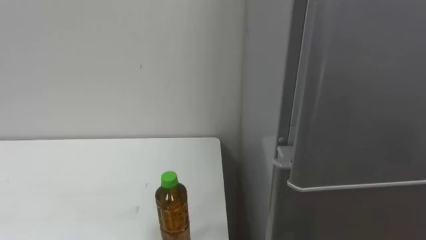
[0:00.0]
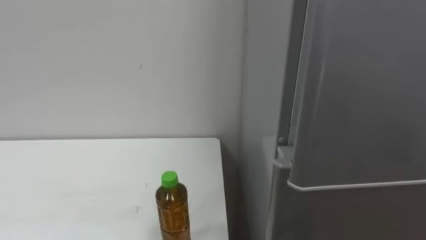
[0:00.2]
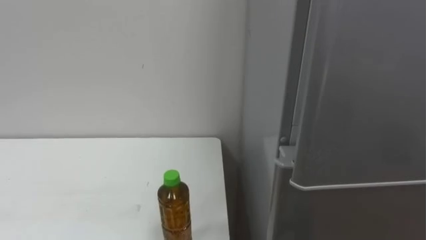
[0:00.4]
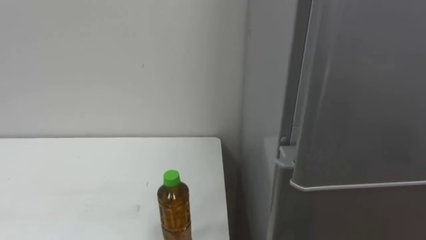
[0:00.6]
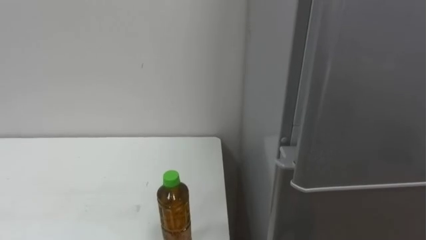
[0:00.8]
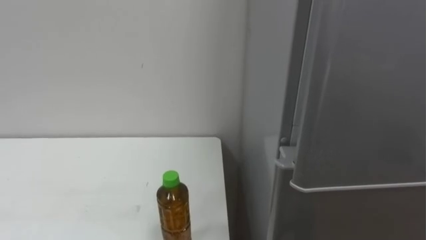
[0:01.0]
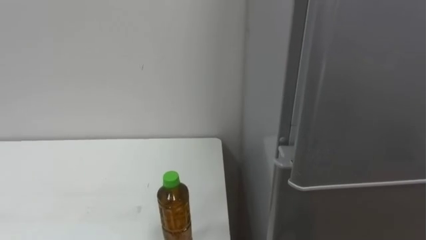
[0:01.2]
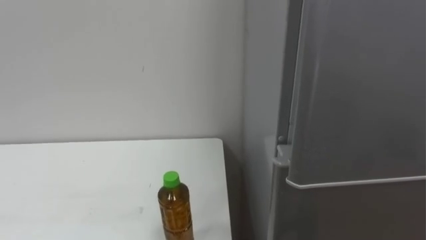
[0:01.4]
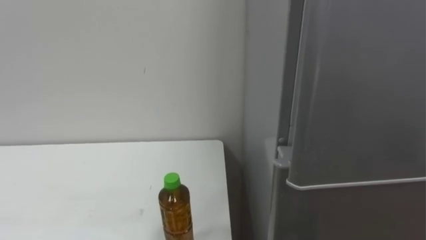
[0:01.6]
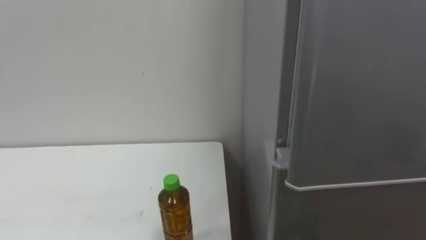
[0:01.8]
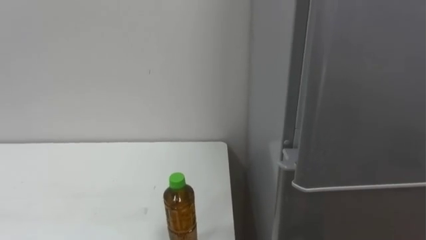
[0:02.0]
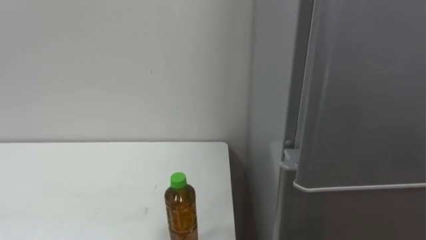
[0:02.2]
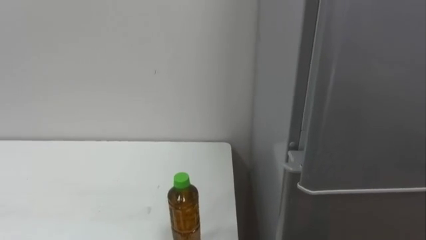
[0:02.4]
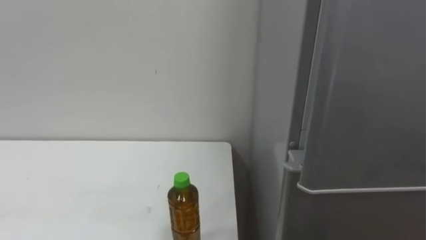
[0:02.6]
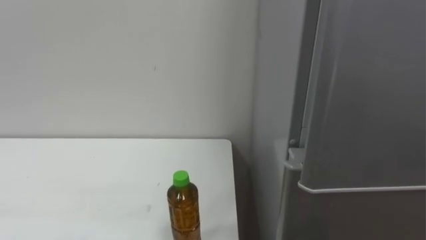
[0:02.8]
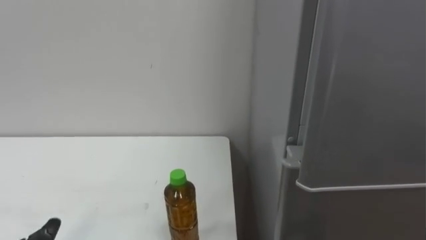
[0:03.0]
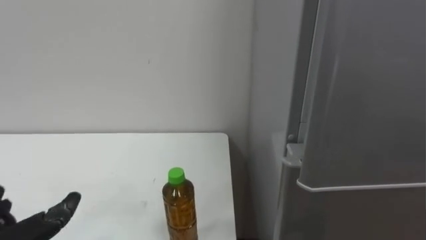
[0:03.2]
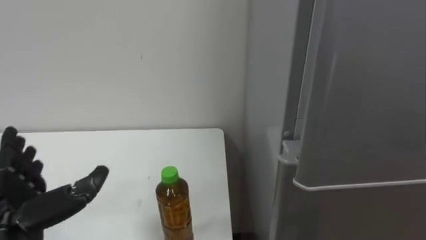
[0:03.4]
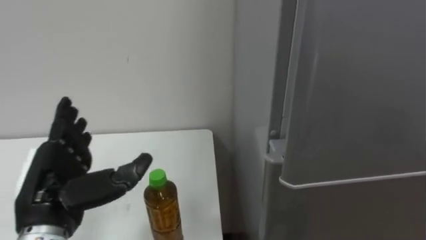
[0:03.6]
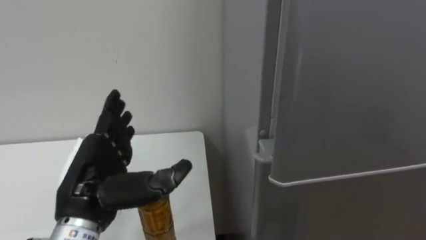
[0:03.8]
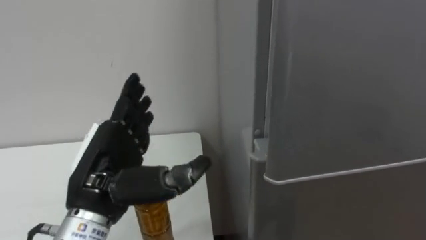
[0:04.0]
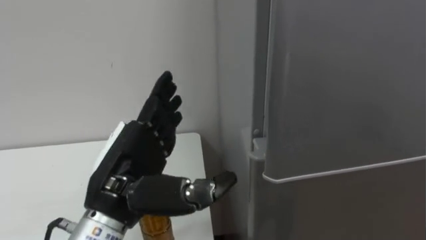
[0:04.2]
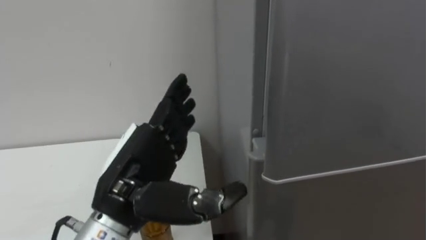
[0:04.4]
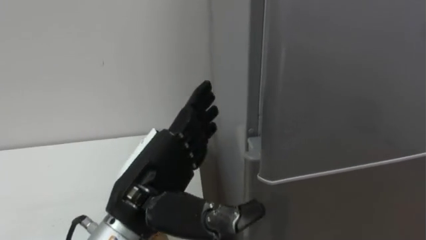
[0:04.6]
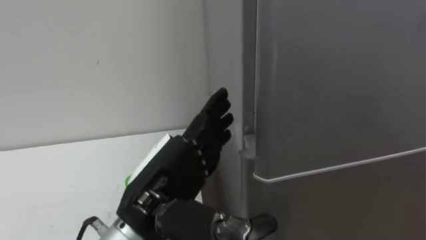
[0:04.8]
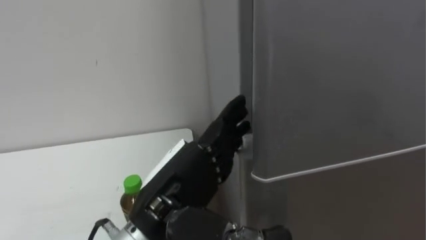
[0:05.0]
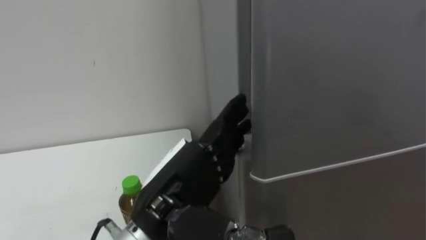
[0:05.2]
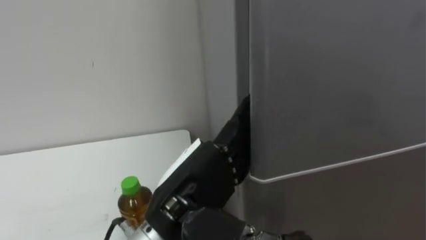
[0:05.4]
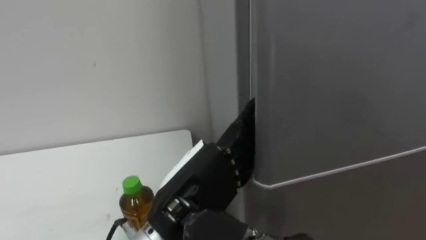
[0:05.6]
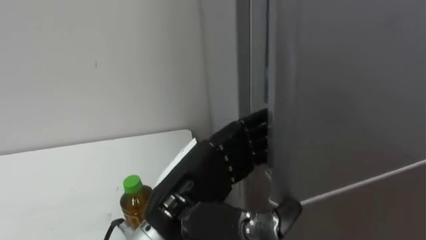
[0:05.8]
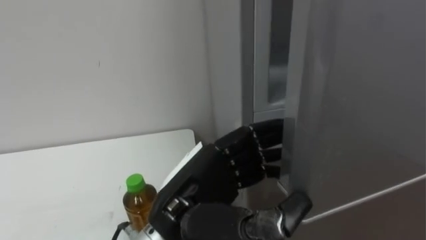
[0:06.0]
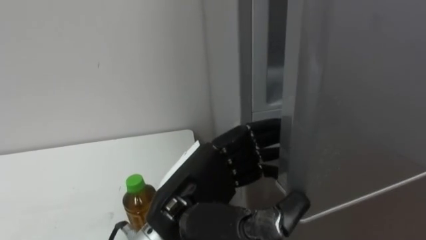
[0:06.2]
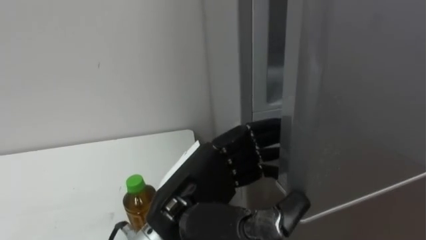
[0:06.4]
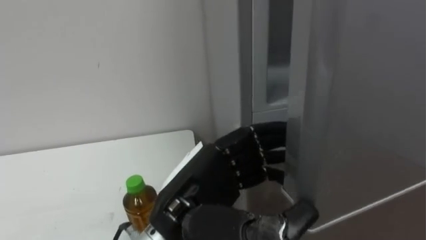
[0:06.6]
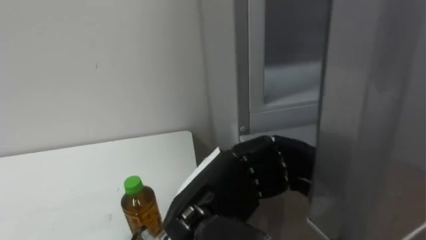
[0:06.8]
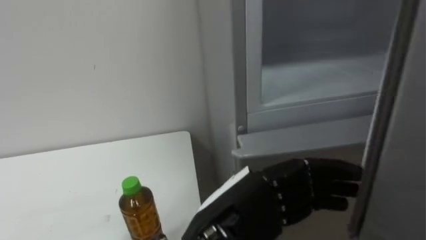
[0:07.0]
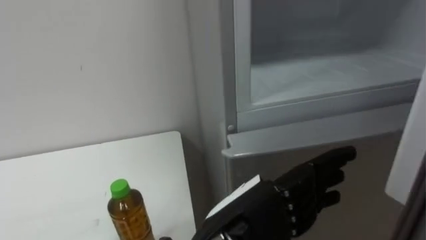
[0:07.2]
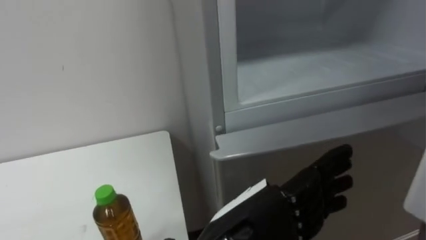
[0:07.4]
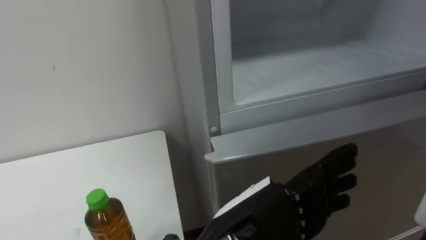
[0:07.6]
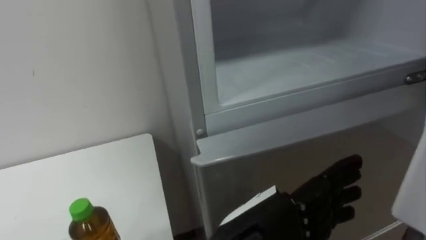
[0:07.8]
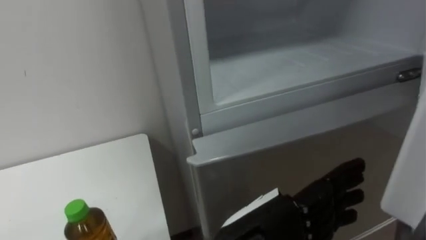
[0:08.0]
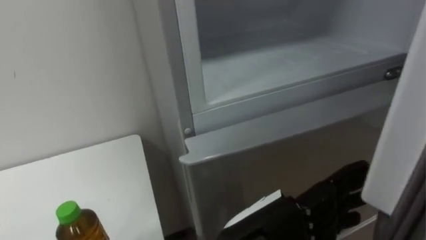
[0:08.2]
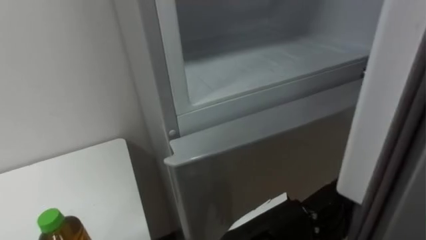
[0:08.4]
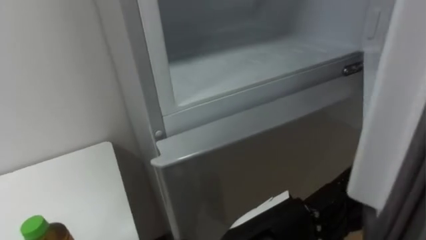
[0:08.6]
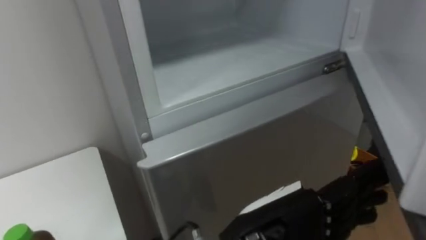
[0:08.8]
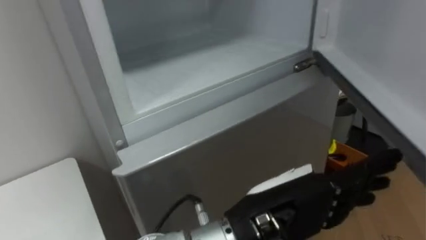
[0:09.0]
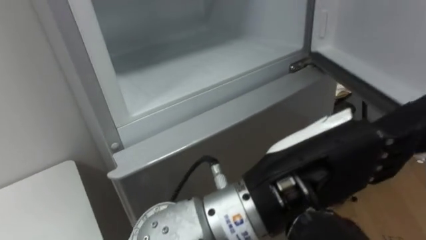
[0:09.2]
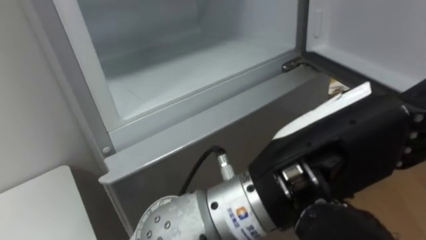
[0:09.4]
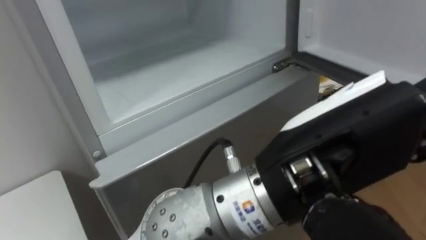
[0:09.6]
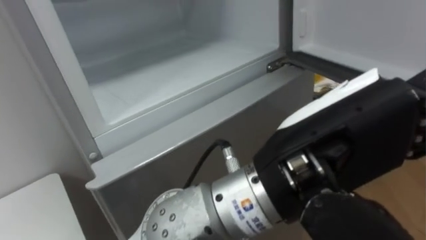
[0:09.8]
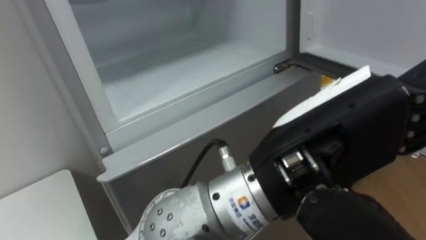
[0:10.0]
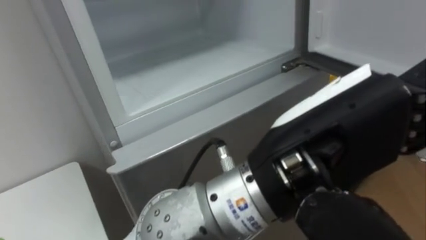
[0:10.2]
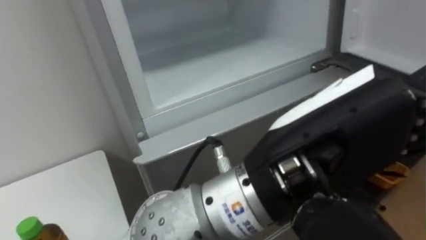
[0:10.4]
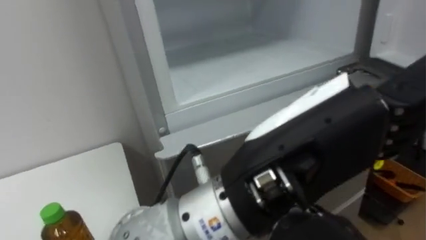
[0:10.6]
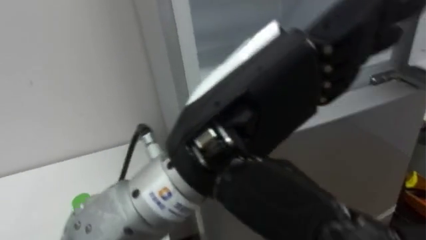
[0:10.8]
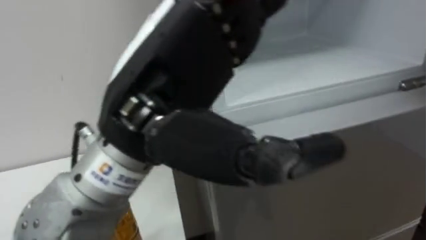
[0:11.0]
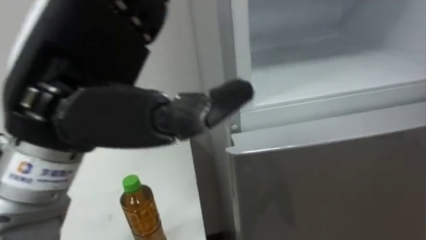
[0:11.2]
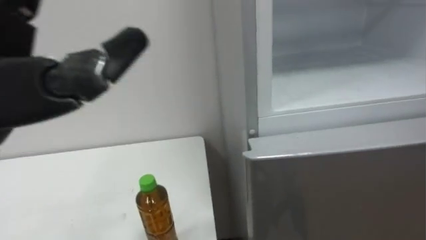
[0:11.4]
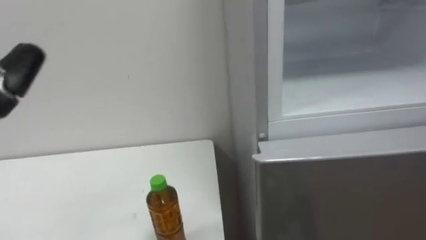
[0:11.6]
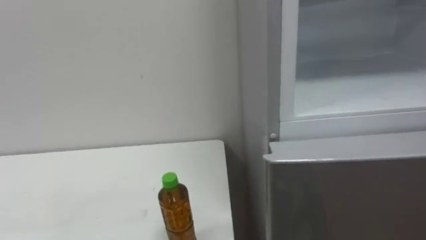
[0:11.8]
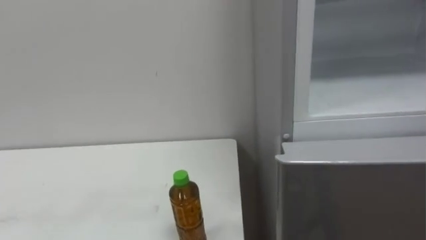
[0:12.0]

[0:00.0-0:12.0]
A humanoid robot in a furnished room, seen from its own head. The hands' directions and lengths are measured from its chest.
Task of the whole recording: Open the upper refrigerator door, put the drink from the table into the refrigerator, and then close the refrigerator door.
0:04.4 to 0:06.0: The left hand moves to the right, about 10 cm, and closes its fingers.
0:06.0 to 0:07.6: The left hand travels to the right by roughly 5 cm, and opens.
0:09.0 to 0:10.4: The left hand goes about 10 cm upward.

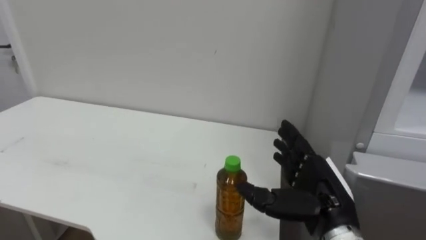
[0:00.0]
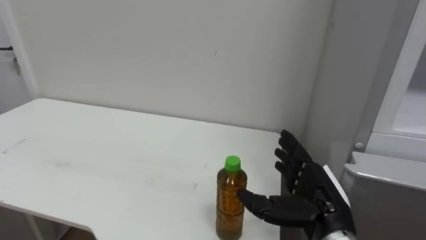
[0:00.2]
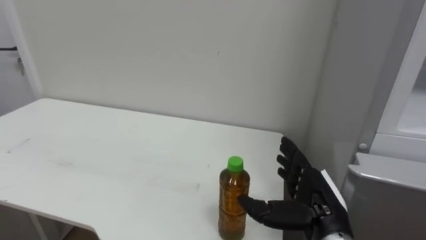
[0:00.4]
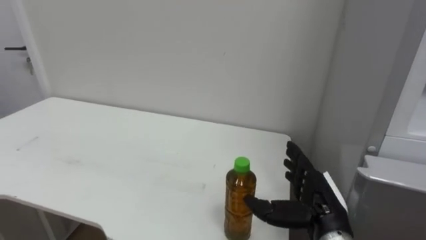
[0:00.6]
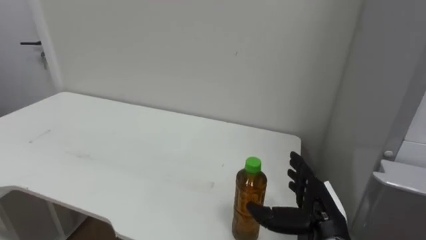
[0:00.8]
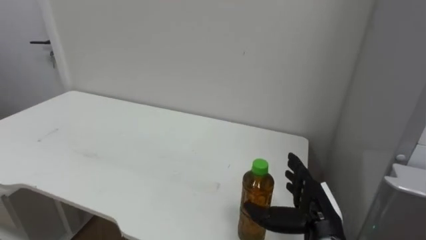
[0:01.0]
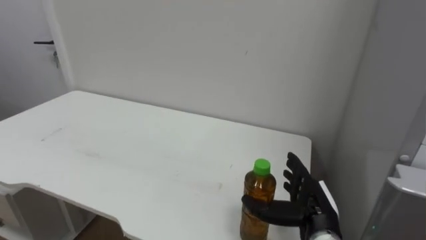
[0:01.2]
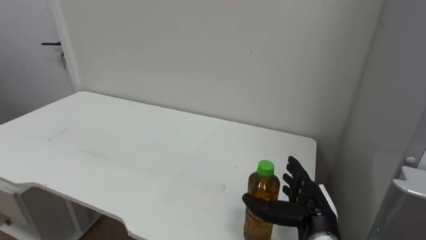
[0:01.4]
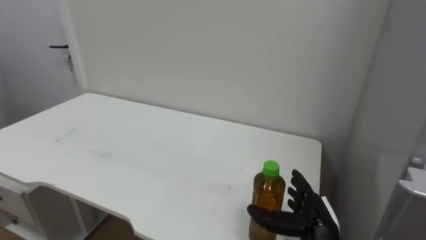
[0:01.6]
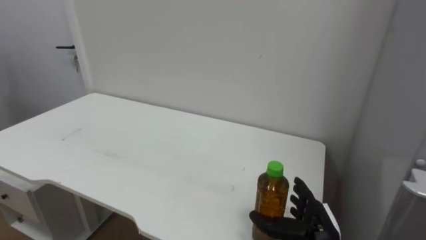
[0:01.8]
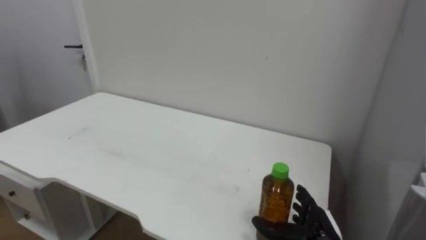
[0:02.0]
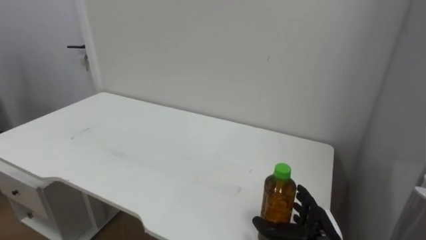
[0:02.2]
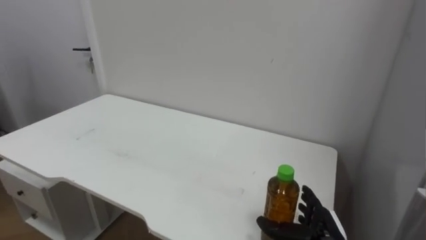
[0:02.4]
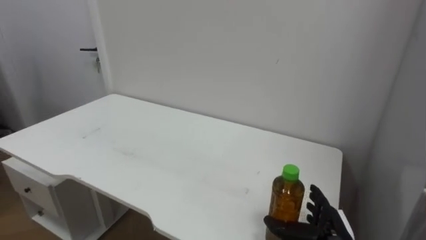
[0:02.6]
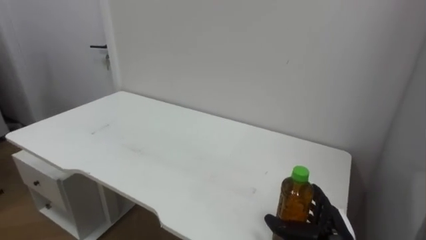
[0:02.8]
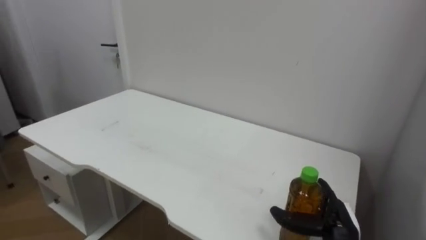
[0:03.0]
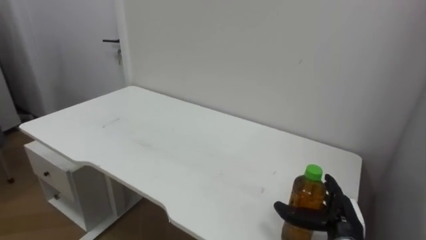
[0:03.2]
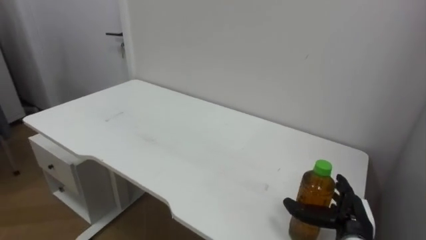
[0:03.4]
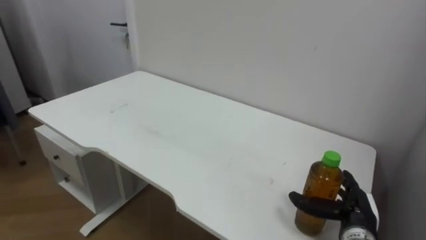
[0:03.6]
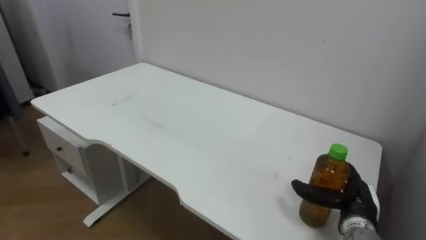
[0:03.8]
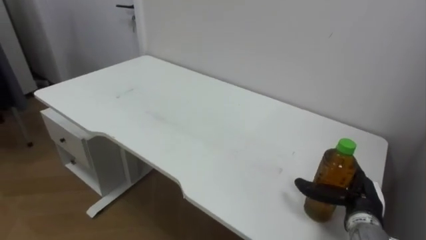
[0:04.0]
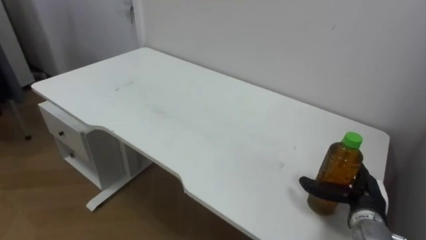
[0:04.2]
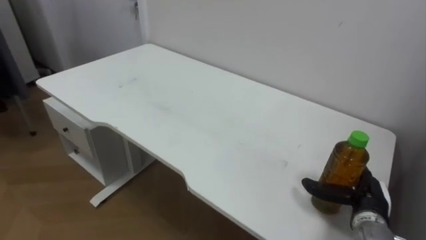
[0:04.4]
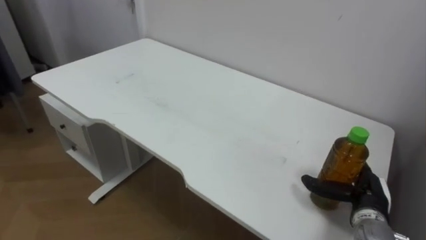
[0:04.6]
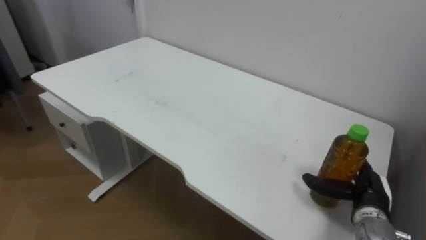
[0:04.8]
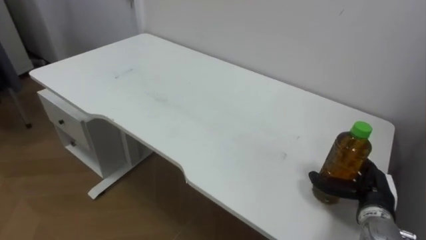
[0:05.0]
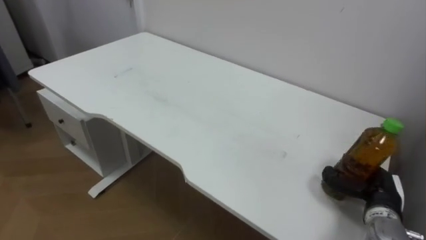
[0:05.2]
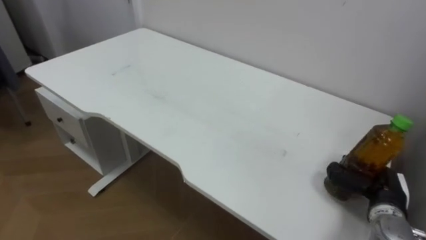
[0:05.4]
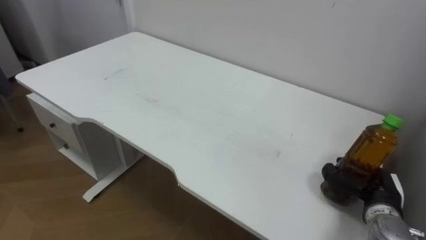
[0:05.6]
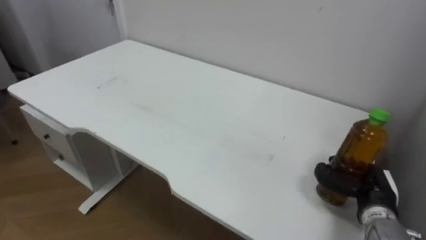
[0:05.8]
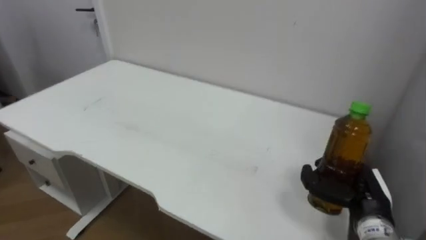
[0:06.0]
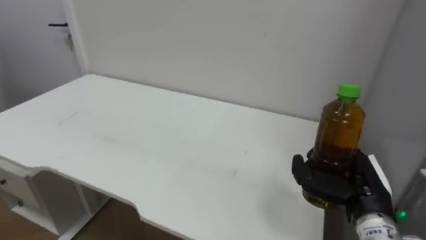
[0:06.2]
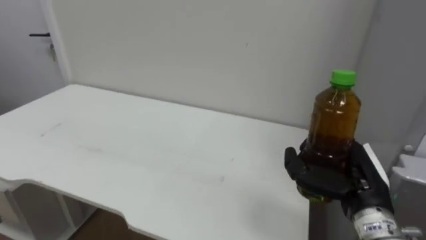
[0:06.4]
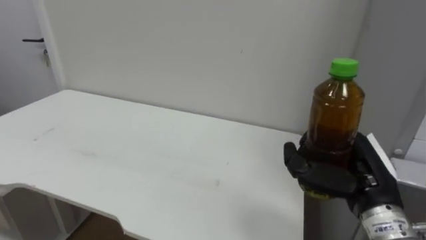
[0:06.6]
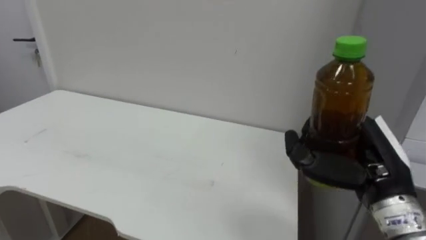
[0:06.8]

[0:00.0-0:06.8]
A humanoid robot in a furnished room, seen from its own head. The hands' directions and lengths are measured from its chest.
Task of the whole recording: Open the upper refrigerator door, put the drink from the table into the refrigerator, and then close the refrigerator door.
0:00.0 to 0:01.4: The right hand moves downward, some 10 cm.
0:01.4 to 0:02.8: The right hand heads downward, covering approximately 5 cm.
0:02.8 to 0:04.0: The right hand moves to the right, about 5 cm.
0:04.0 to 0:05.4: The right hand closes up.
0:05.4 to 0:06.8: The right hand goes roughly 20 cm upward, to the left and backward.
